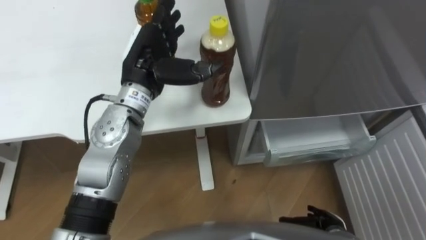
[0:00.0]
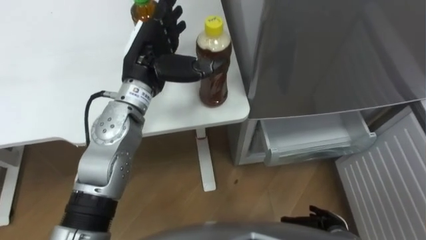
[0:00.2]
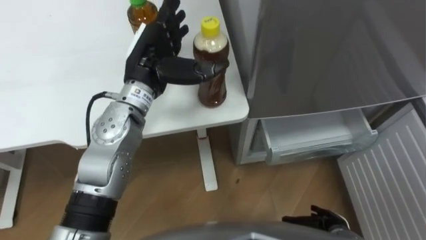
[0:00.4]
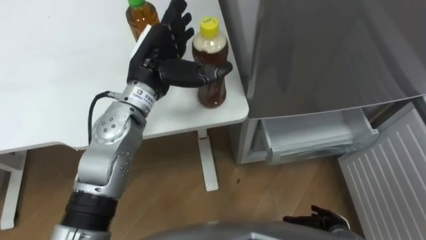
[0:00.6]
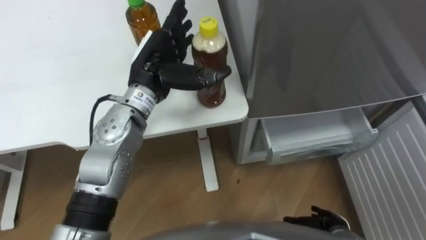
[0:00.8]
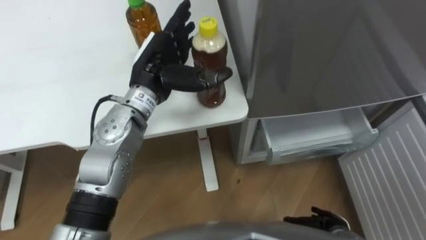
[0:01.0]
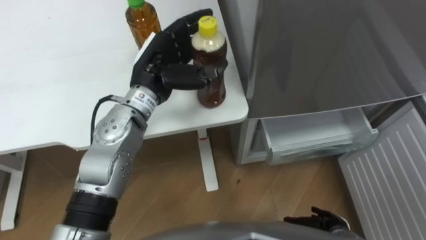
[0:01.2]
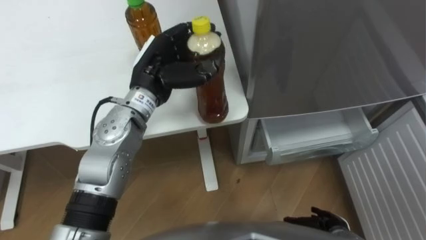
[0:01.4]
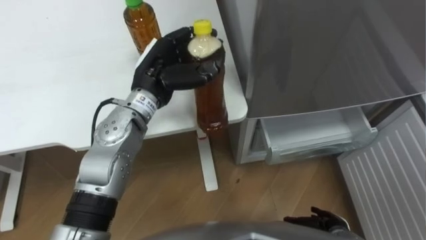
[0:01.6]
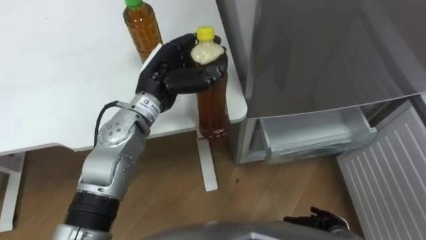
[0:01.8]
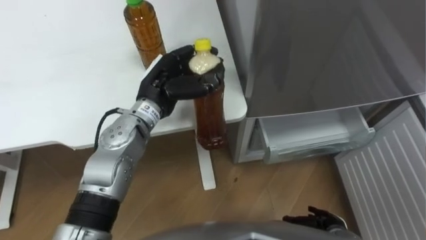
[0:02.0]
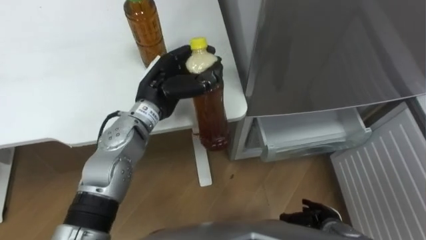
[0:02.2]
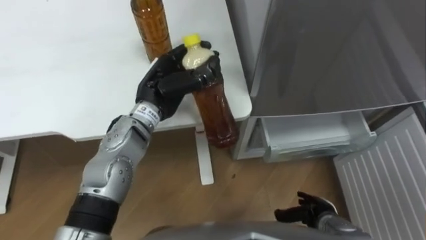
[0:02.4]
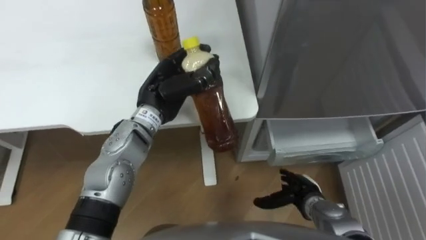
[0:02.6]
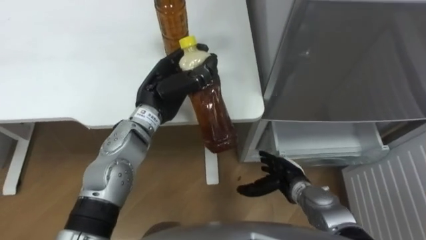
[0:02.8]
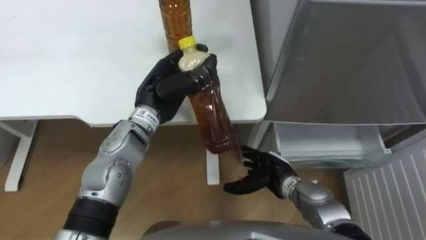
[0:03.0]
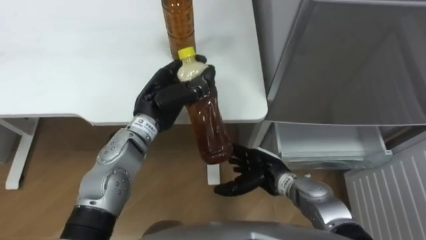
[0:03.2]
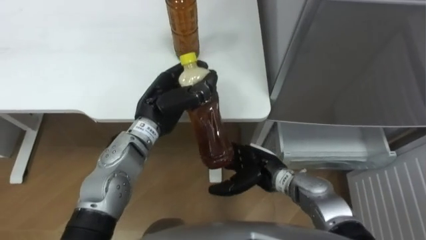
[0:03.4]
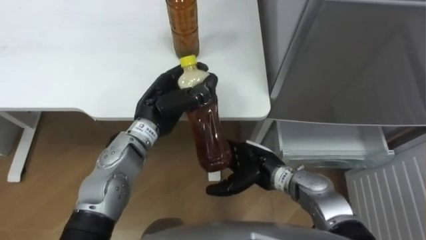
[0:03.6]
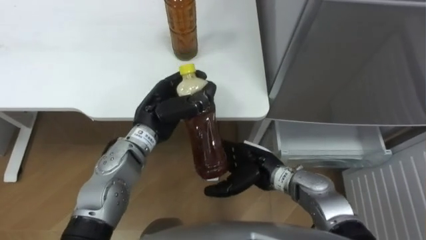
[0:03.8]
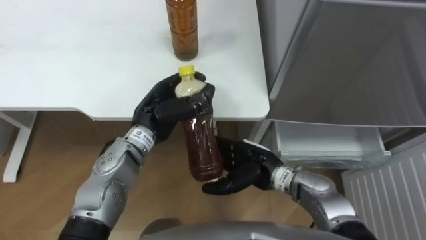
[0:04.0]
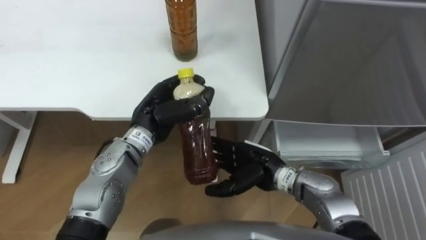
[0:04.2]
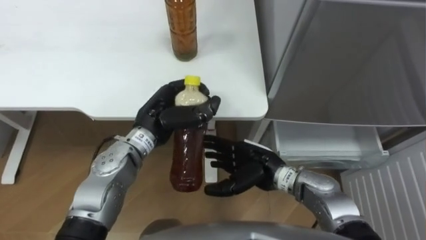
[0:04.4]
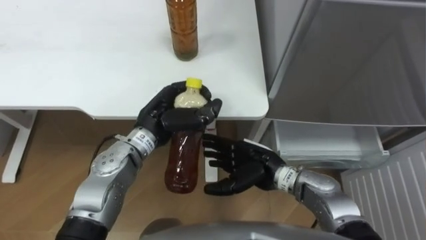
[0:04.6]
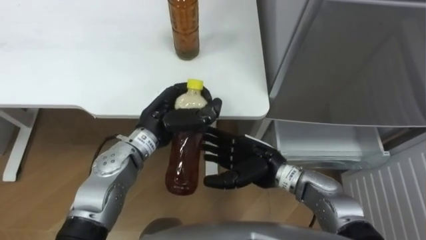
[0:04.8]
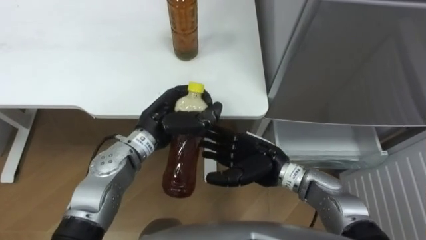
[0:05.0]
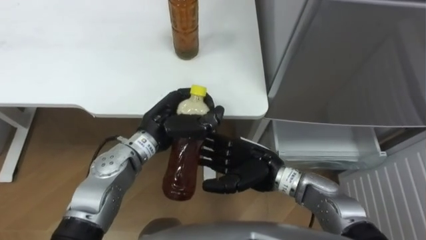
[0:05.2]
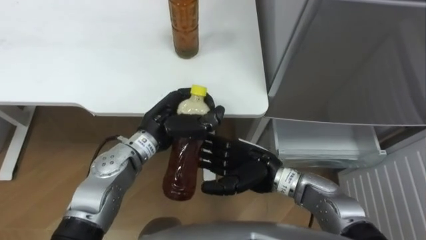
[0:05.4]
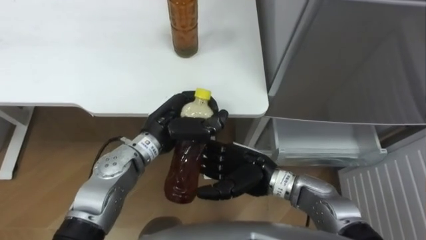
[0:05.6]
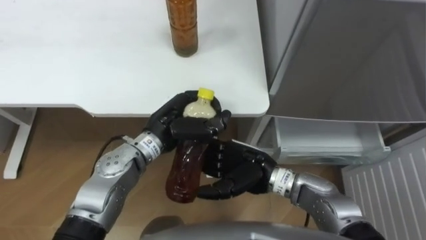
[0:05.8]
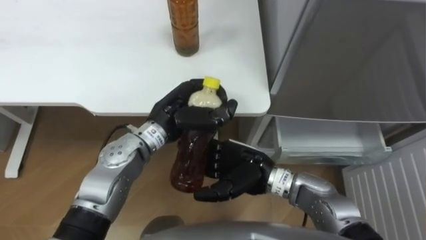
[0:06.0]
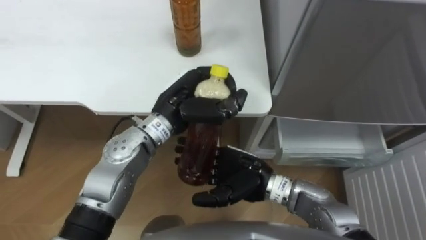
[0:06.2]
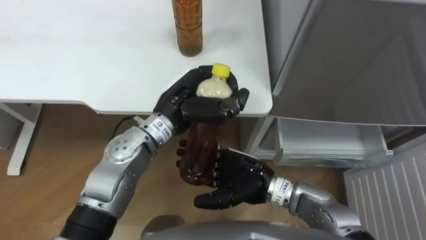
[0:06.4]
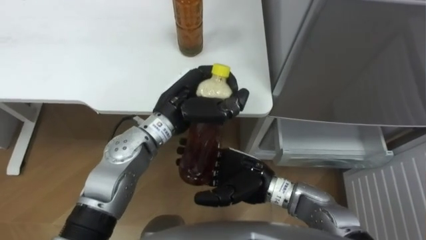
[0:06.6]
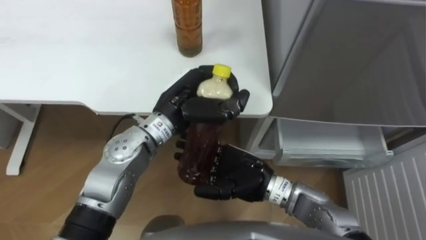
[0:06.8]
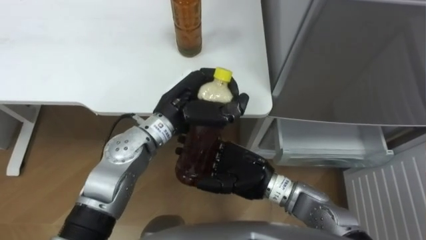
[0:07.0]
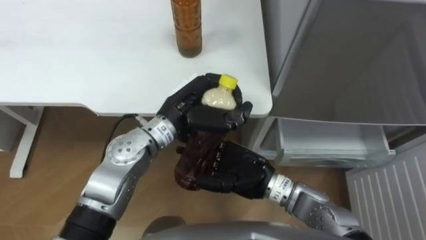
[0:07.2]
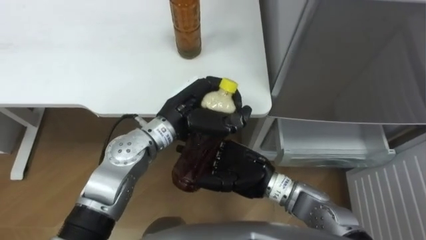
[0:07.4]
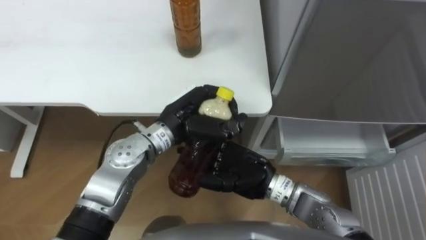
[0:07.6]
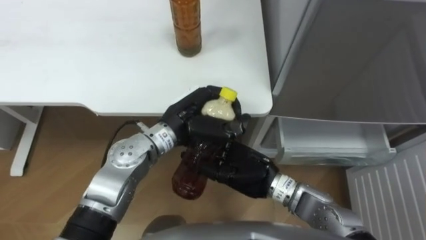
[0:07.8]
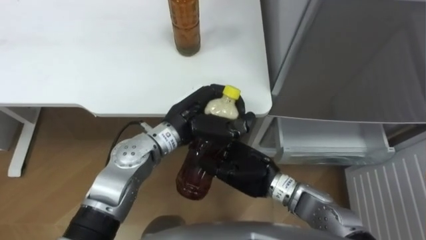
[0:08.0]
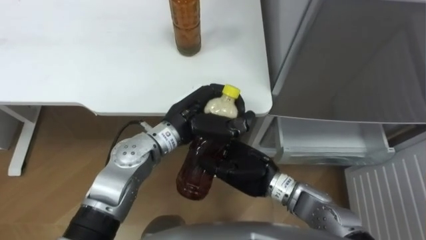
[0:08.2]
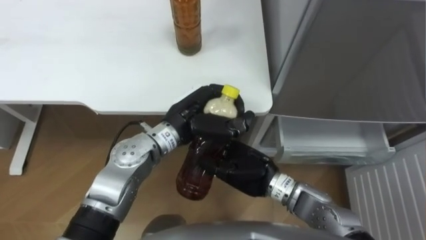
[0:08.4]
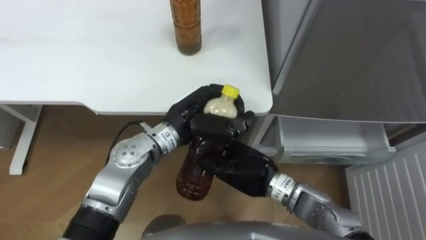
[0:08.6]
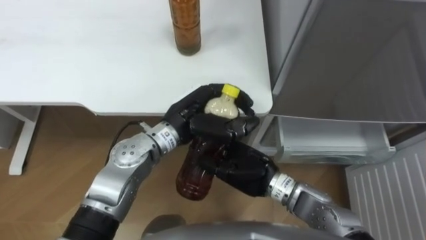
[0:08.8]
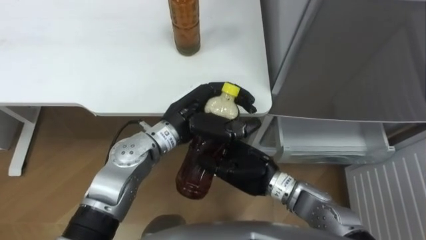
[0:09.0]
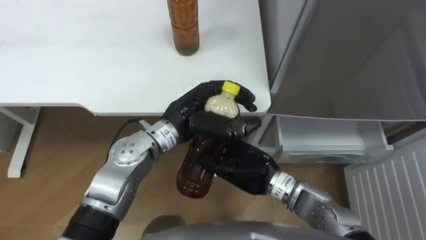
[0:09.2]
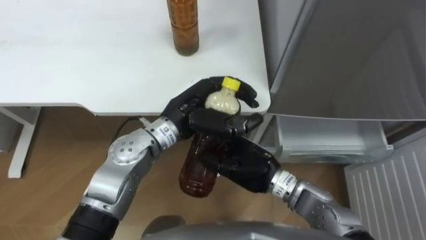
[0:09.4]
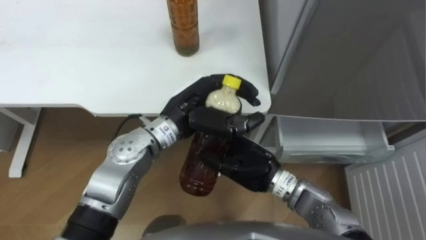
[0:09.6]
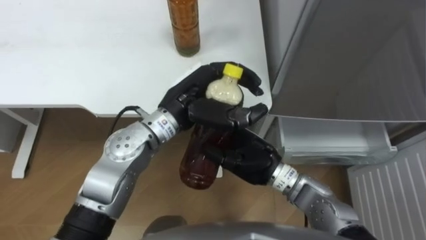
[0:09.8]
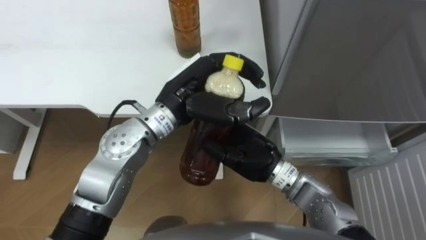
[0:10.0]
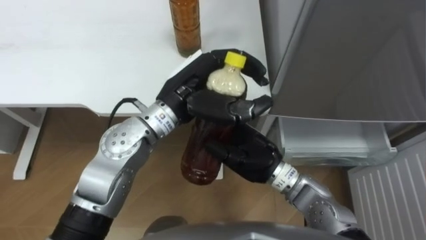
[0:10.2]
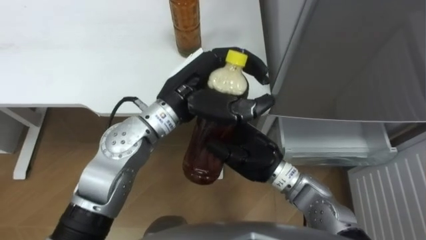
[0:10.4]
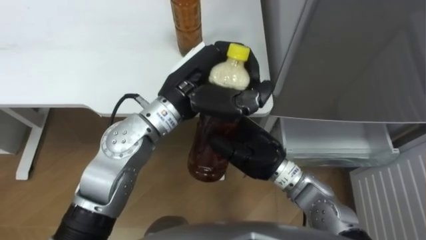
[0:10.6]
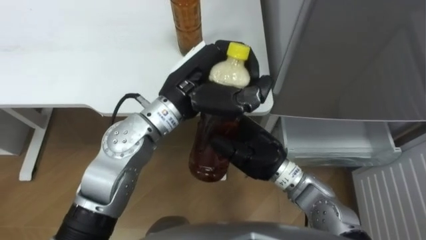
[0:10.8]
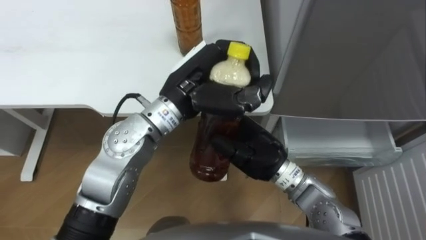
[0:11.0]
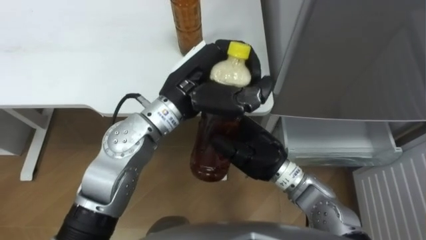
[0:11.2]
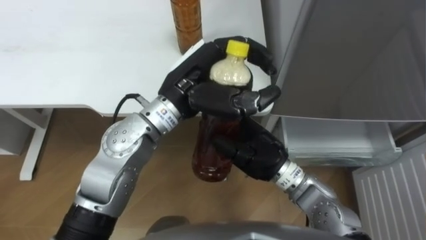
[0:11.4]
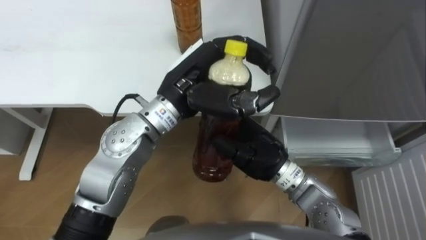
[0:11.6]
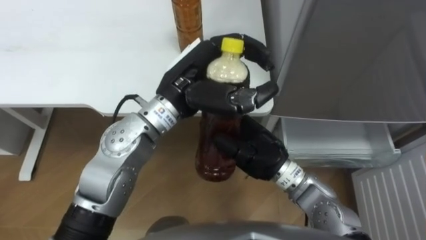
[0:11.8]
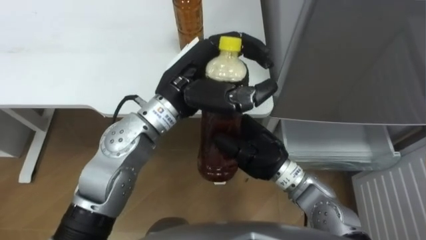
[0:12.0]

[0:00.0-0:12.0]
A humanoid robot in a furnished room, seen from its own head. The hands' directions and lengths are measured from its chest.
Task of the whole recording: Place the drink on the table on the bottom shelf of the refrigerator, then close the drawer and the refrigerator door.
0:00.0 to 0:01.6: The left hand closes its fingers.
0:01.6 to 0:03.0: The right hand is displaced forward, to the left and upward by roughly 20 cm.
0:03.0 to 0:04.4: The right hand goes roughly 5 cm upward.
0:04.4 to 0:06.0: The right hand moves roughly 5 cm.
0:06.0 to 0:07.6: The hands stay close to where they were, moving slightly.
0:07.6 to 0:09.0: The right hand closes its fingers.
0:09.0 to 0:10.4: The left hand heads upward, covering roughly 5 cm.
0:10.4 to 0:12.0: The hands move only a little.

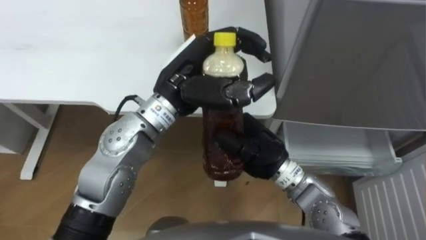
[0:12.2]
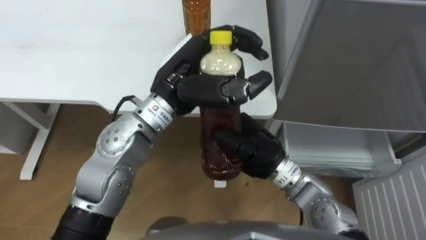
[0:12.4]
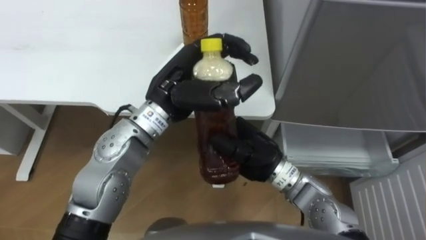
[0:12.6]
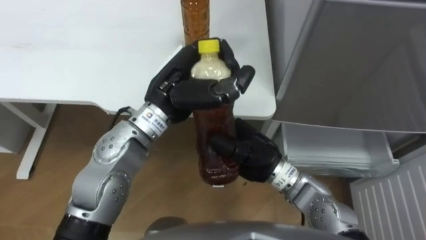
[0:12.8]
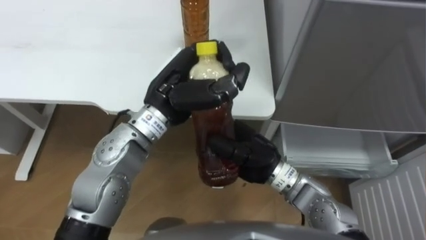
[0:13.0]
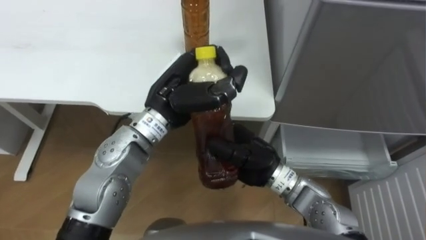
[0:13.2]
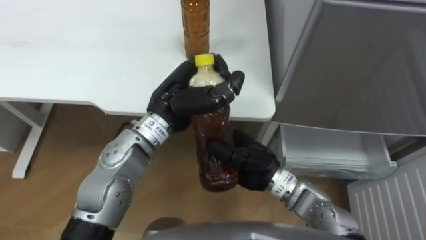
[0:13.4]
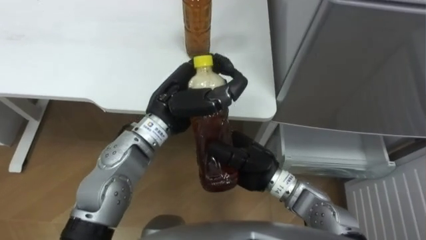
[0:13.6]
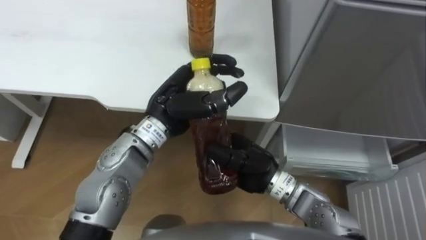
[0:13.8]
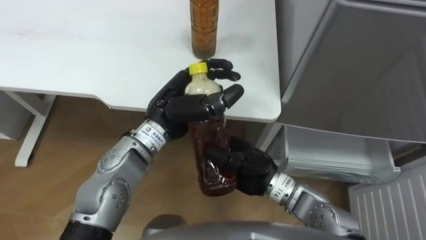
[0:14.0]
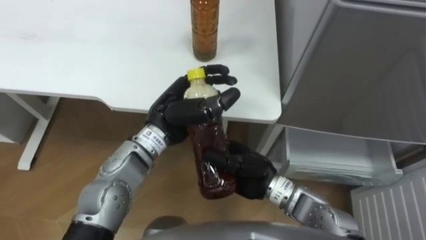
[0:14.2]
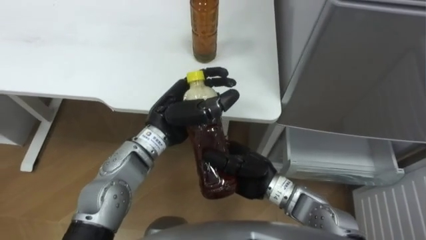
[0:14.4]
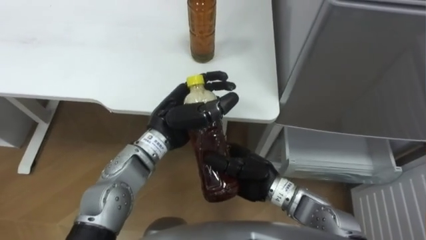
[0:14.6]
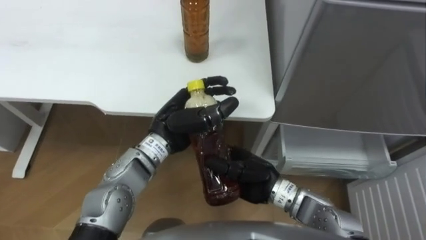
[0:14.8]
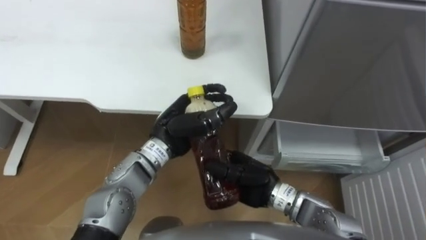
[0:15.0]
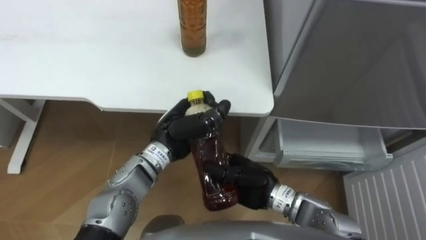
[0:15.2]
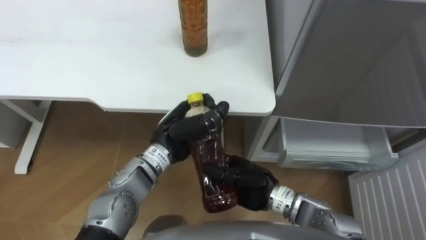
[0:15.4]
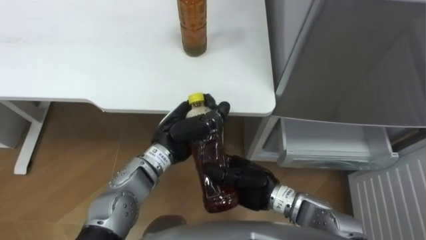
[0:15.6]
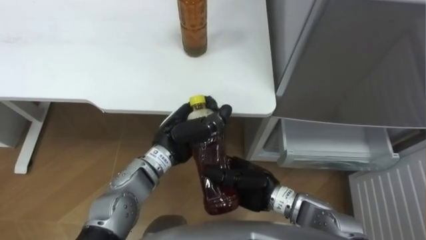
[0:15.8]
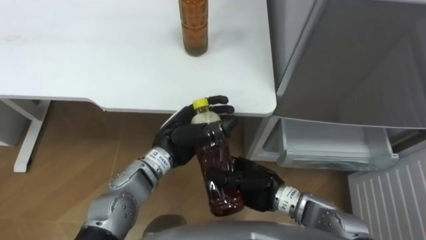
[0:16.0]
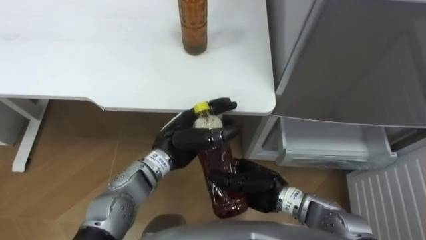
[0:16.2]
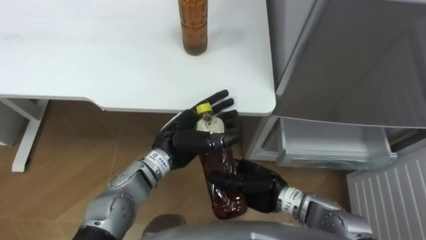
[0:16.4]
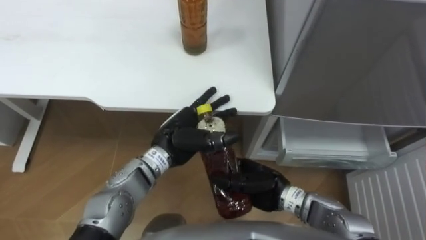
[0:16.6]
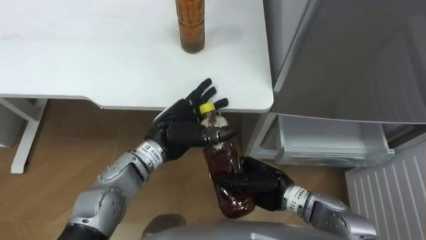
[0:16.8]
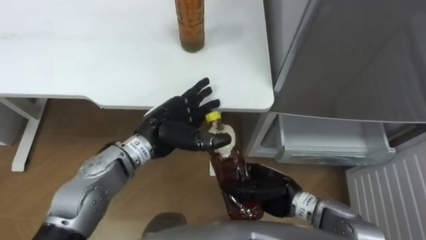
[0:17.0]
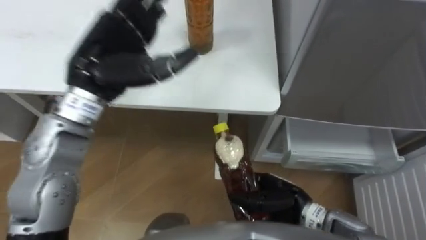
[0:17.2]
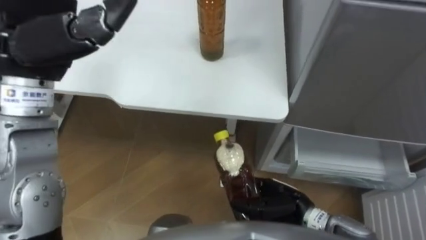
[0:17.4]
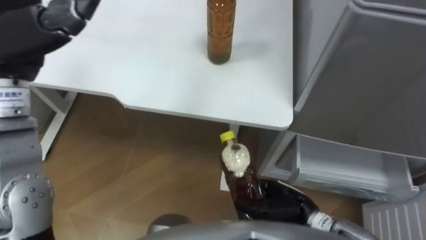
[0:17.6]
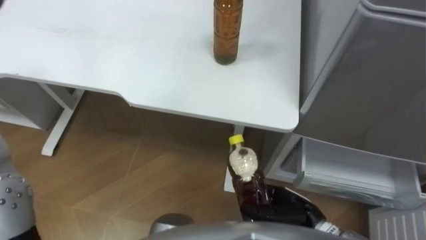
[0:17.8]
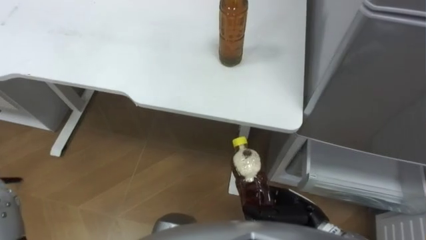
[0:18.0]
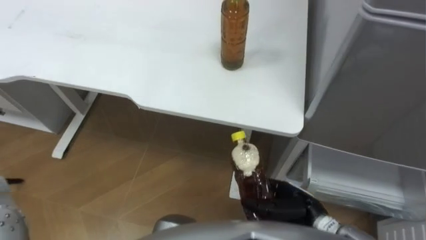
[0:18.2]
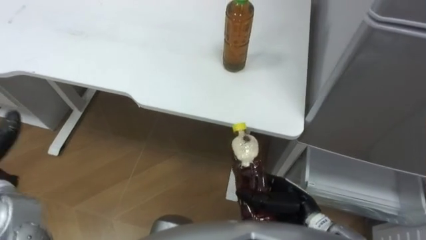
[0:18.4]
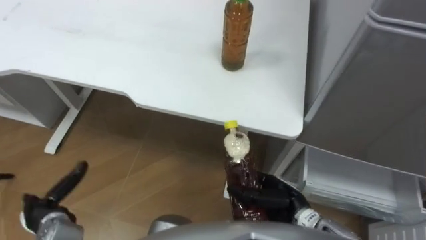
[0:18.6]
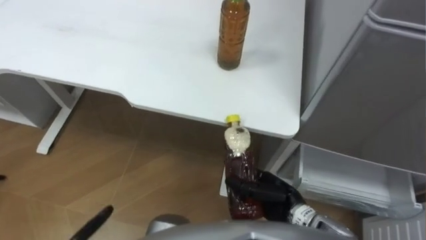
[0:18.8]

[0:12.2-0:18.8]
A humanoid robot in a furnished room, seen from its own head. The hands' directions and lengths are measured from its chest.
Task of the whole recording: Place the drink on the table on the bottom shelf of the refrigerator, then close the drawer and the refrigerator door.
0:12.2 to 0:13.8: The left hand goes roughly 5 cm downward.
0:13.8 to 0:15.4: The right hand shifts by roughly 5 cm. The left hand heads downward, covering about 10 cm.
0:15.4 to 0:17.2: The left hand moves upward and to the left, roughly 15 cm, and opens, while the right hand is displaced to the right by some 5 cm.
